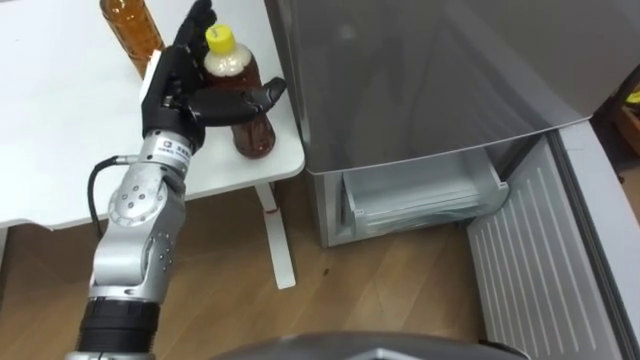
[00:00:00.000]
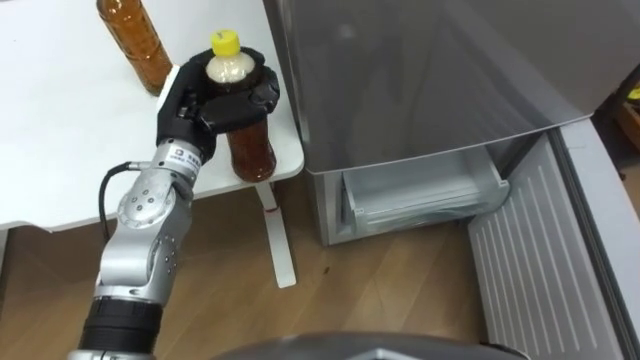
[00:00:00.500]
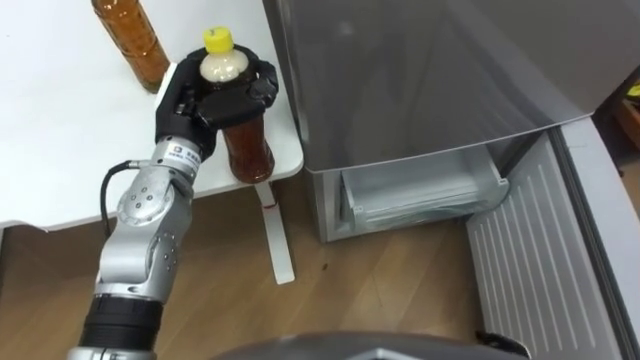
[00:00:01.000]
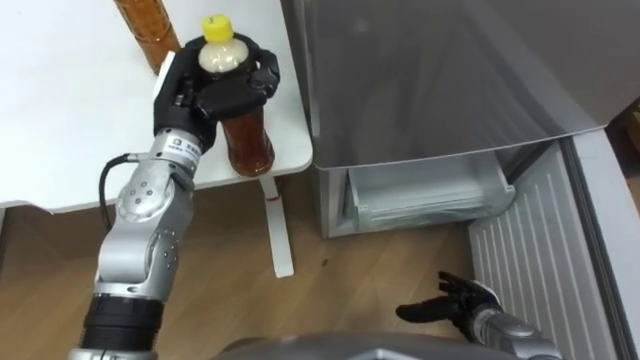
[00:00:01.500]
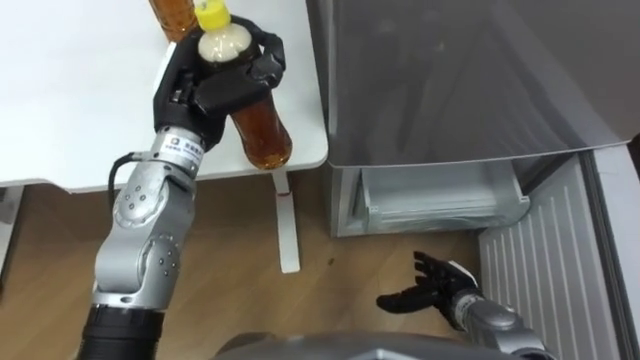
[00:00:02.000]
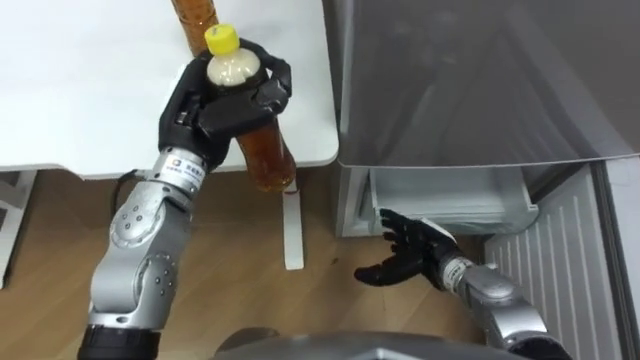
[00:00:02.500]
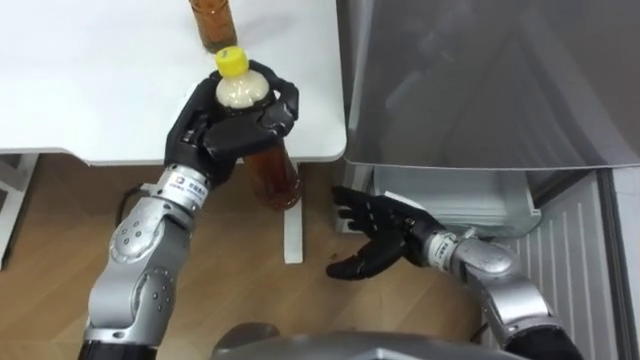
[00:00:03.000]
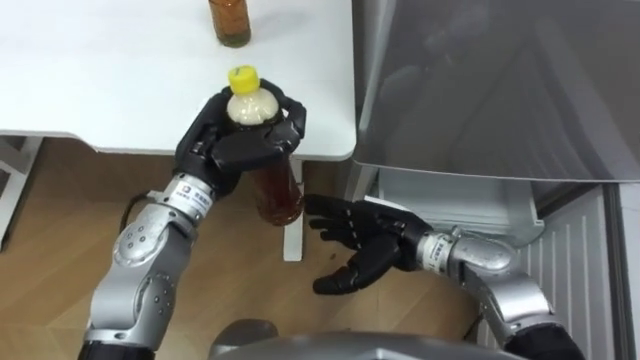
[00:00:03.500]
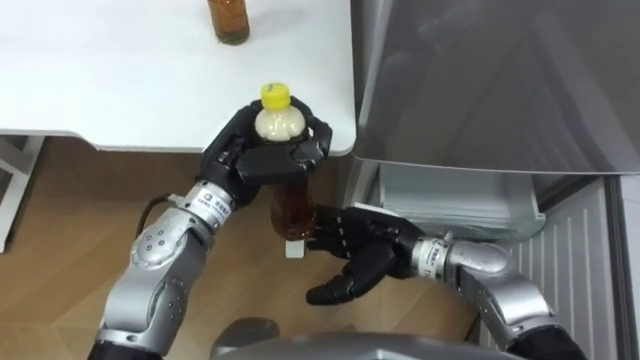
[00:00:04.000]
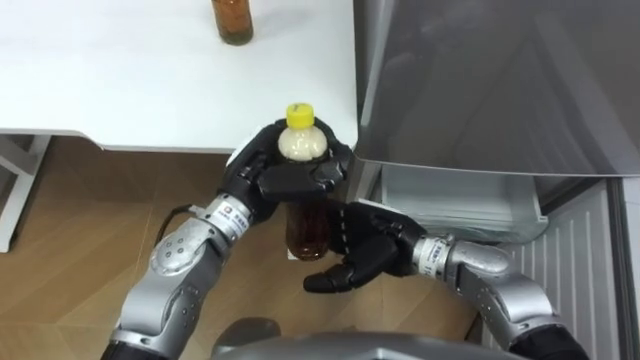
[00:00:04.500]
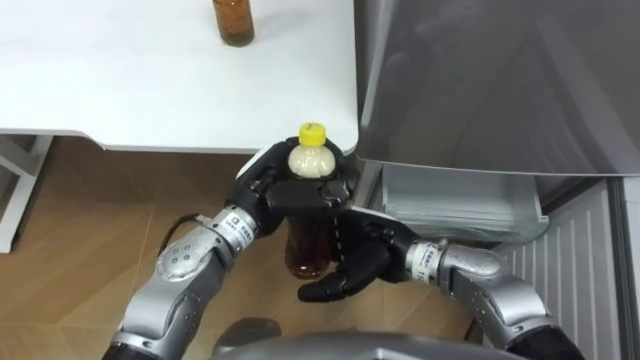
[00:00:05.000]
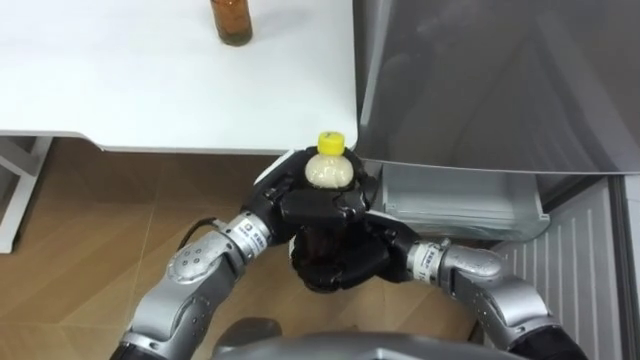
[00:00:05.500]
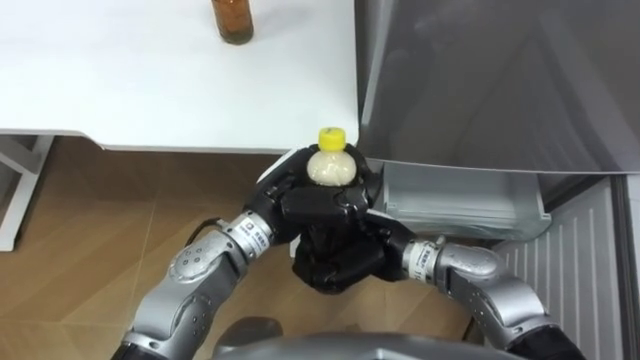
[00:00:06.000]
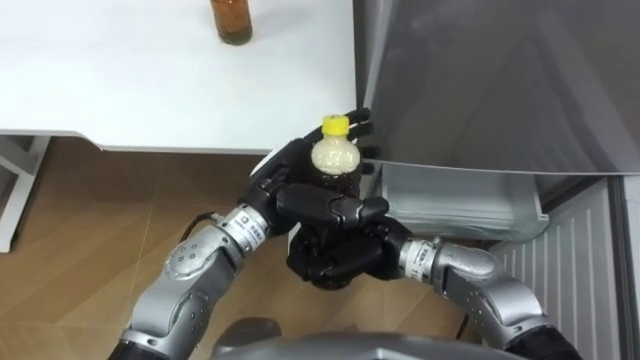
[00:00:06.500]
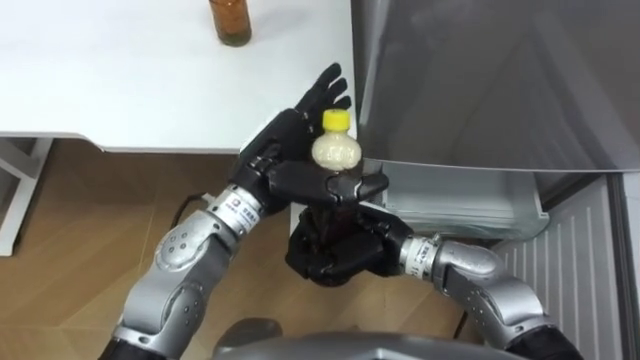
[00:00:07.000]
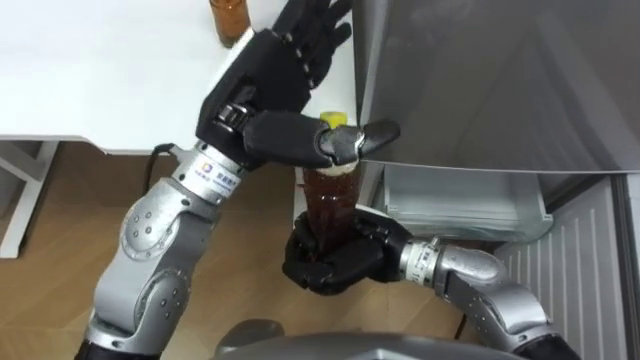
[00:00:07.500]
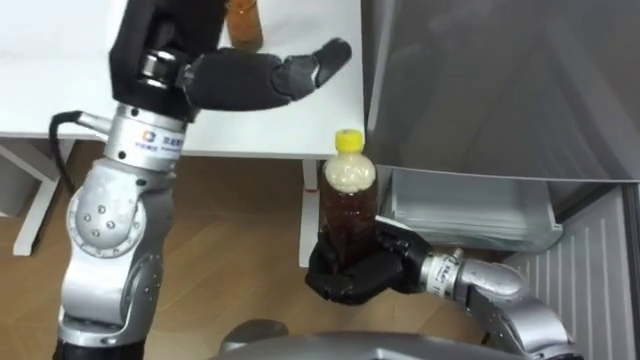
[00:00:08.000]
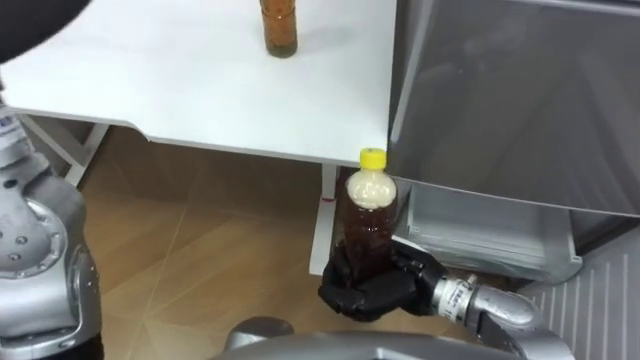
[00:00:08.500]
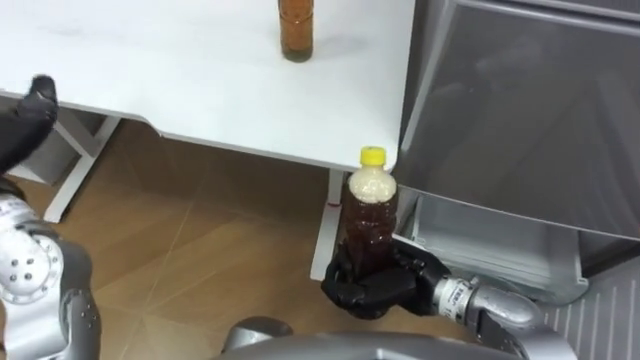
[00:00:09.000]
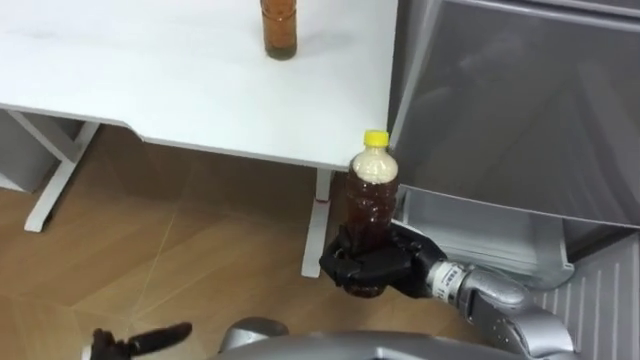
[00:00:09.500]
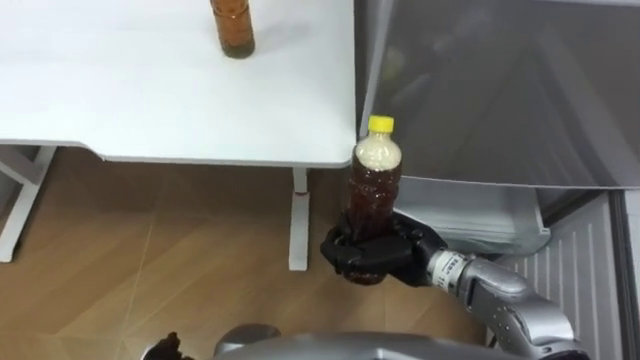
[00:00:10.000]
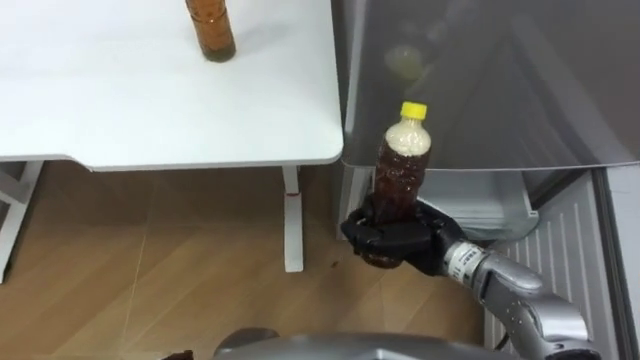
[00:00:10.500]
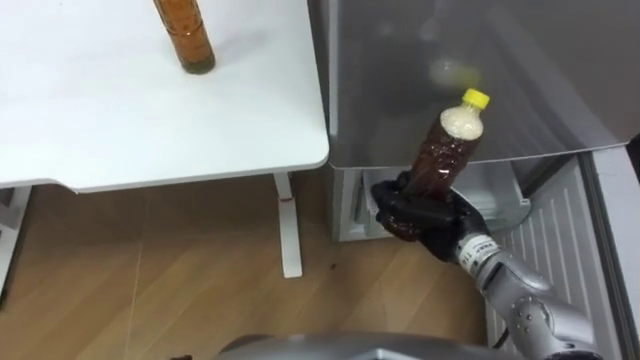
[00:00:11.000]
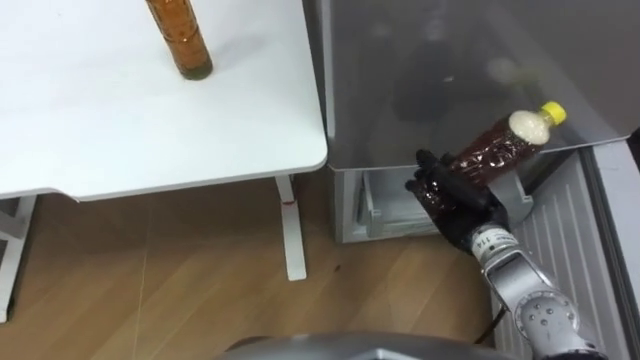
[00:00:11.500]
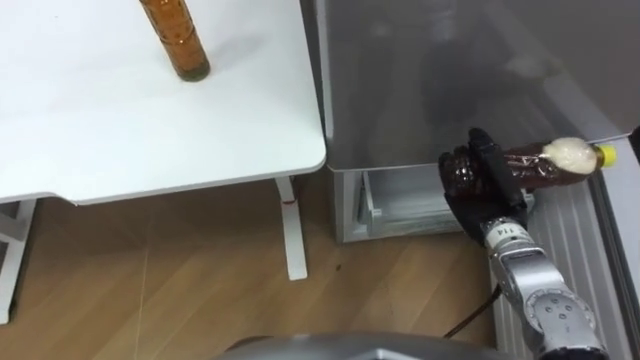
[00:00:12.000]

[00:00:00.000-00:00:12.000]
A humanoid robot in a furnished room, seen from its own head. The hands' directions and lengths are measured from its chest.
Task of the whole recording: Place the drink on the table on the bottom shelf of the refrigerator, then close the drawer and the refrigerator door.
00:00:00.000 to 00:00:02.000: The left hand closes its fingers.
00:00:02.000 to 00:00:04.000: The left hand is displaced downward by approximately 5 cm; the right hand goes approximately 20 cm upward and to the left.
00:00:04.000 to 00:00:06.000: The left hand goes about 5 cm to the right. The right hand closes its fingers.
00:00:06.000 to 00:00:08.000: The left hand heads upward and to the left, covering some 25 cm, and opens up.
00:00:10.000 to 00:00:12.000: The right hand goes roughly 15 cm to the right.

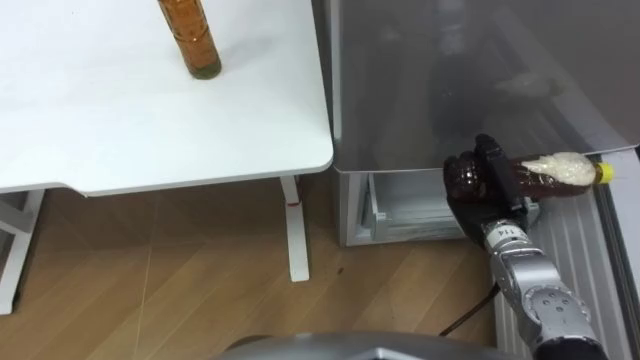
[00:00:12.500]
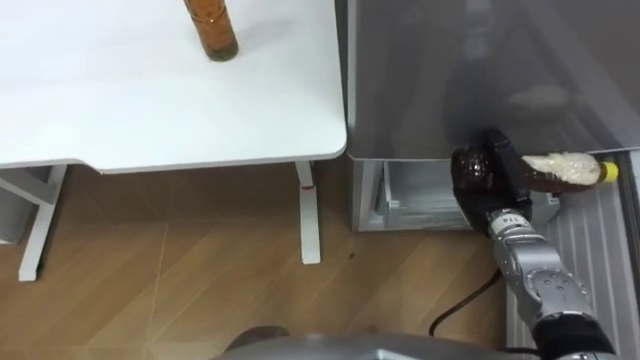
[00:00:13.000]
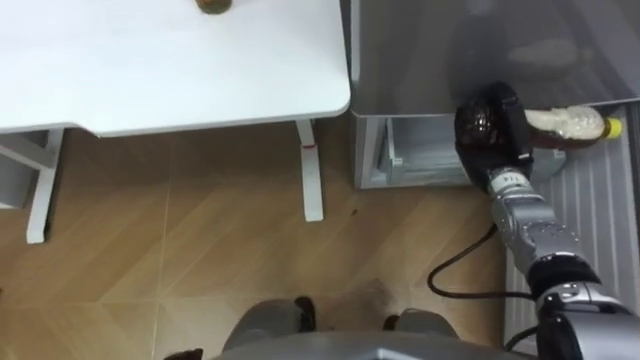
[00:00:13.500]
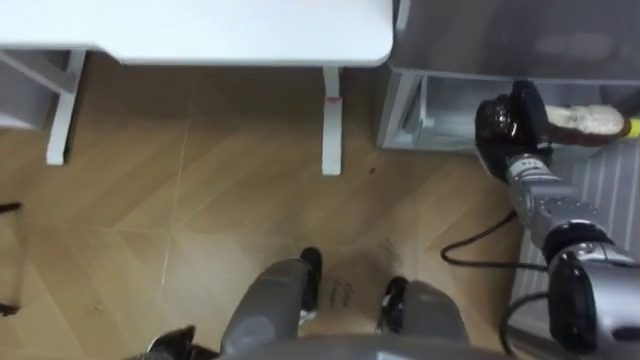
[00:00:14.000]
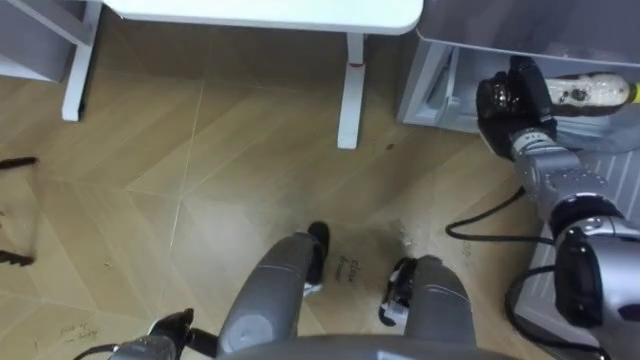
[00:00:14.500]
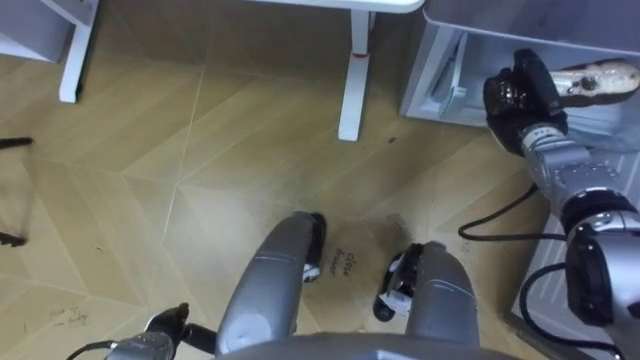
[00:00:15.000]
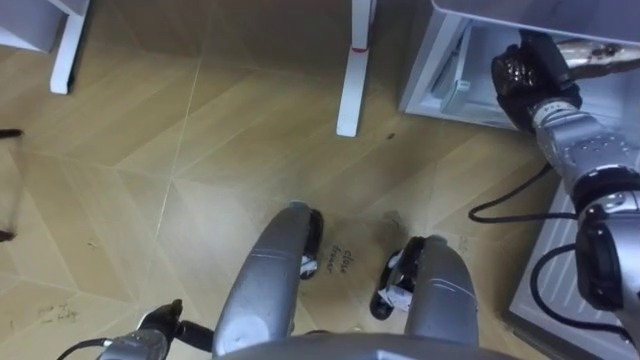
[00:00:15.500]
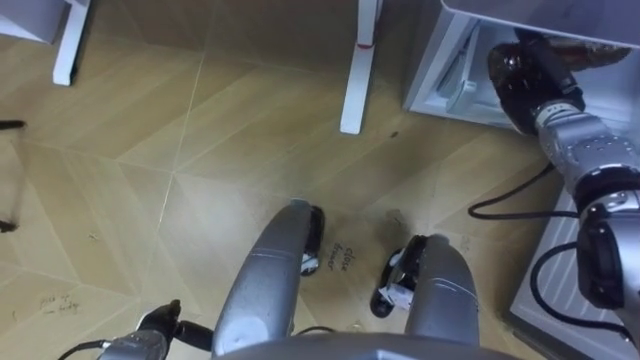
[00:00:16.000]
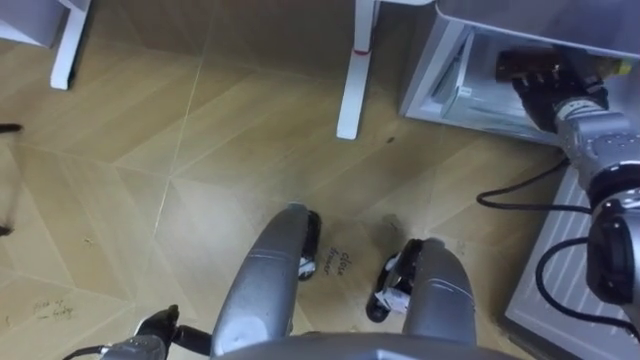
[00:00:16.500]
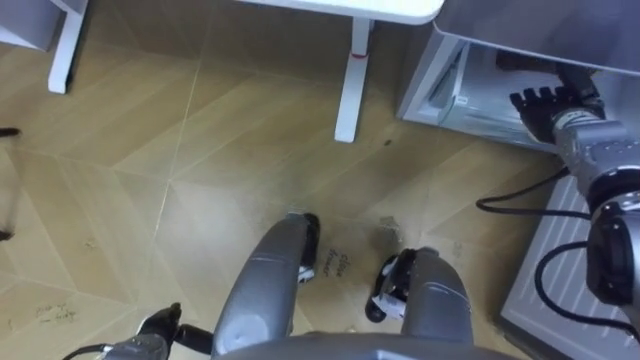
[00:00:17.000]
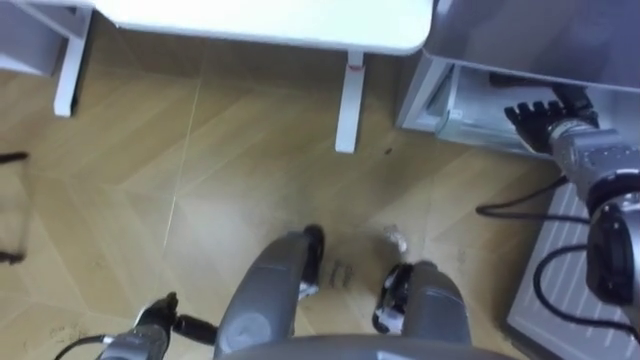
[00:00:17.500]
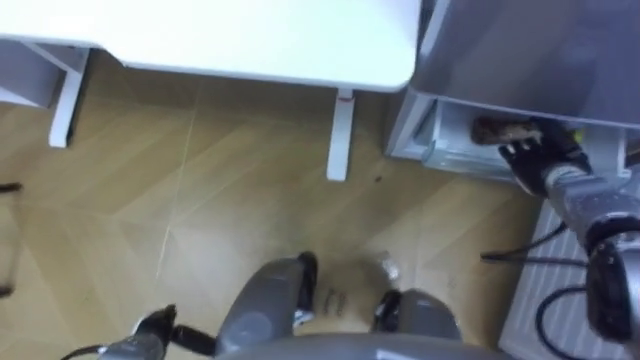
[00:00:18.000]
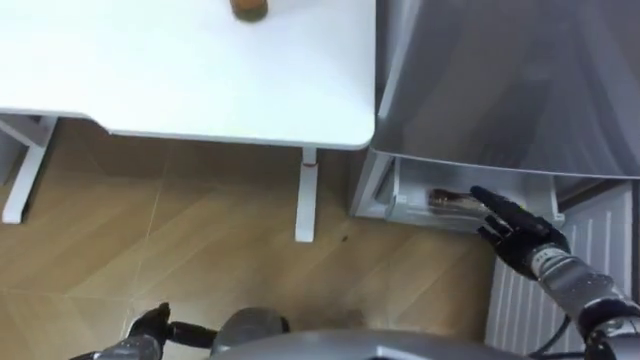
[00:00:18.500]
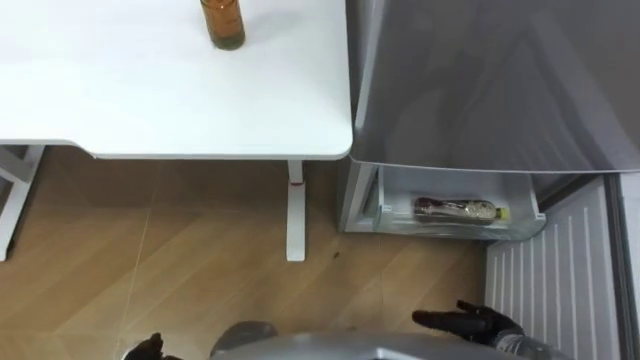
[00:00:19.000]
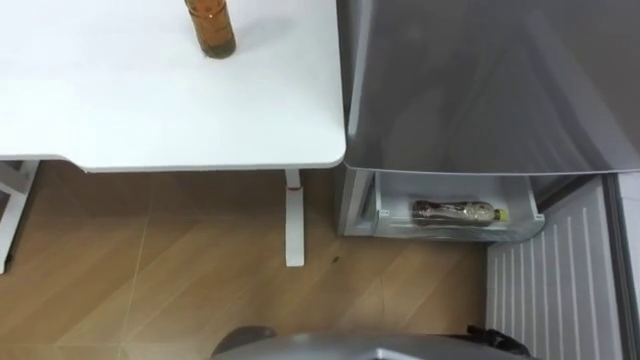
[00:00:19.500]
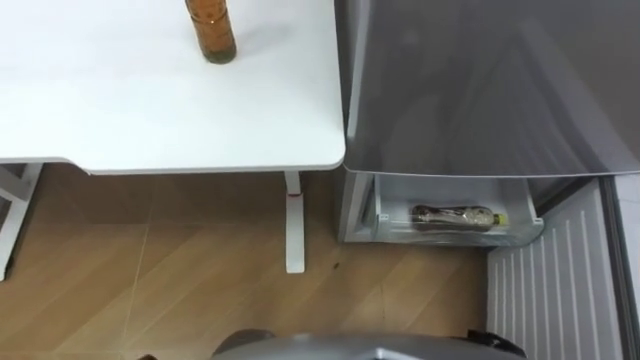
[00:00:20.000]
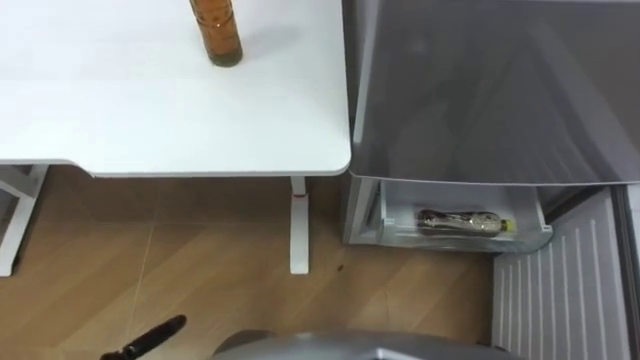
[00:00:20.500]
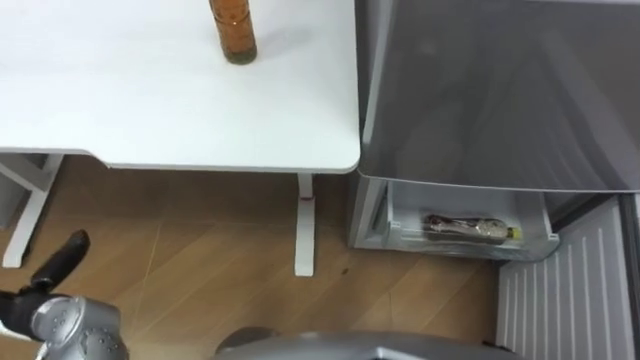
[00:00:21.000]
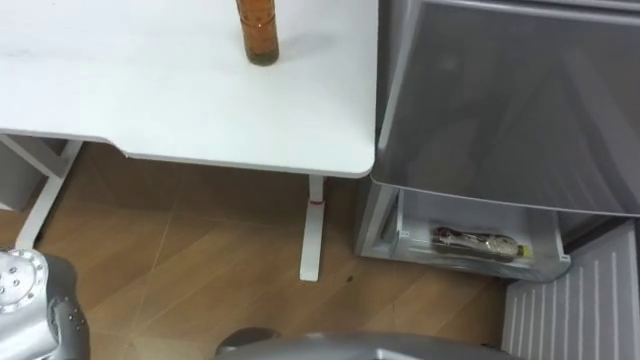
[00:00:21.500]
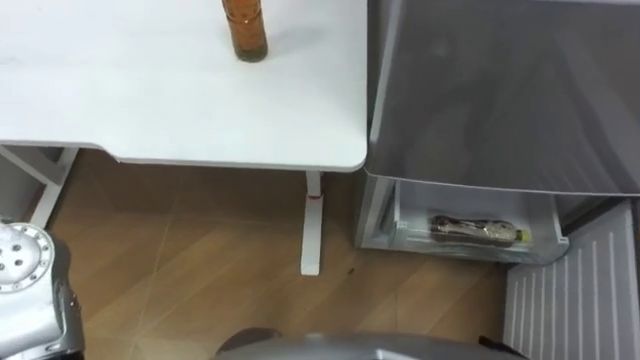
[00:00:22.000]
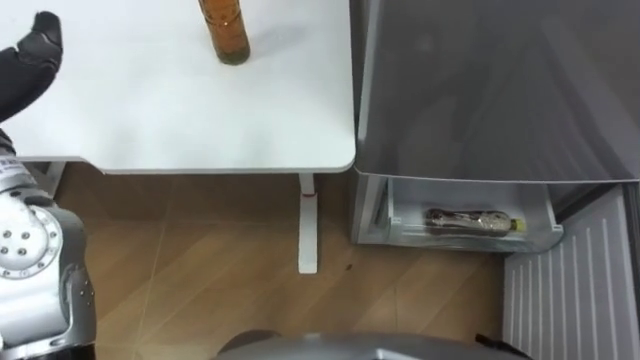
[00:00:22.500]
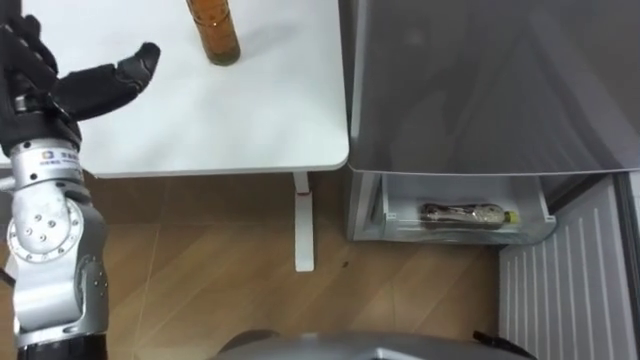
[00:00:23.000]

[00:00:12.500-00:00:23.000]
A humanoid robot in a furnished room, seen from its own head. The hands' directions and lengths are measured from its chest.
Task of the whole recording: Place the drink on the table on the bottom shelf of the refrigerator, then close the drawer and the refrigerator door.
00:00:12.500 to 00:00:14.500: The right hand heads forward, covering approximately 10 cm.
00:00:14.500 to 00:00:16.500: The right hand moves about 5 cm, and opens.
00:00:16.500 to 00:00:19.000: The right hand goes approximately 35 cm backward and downward.
